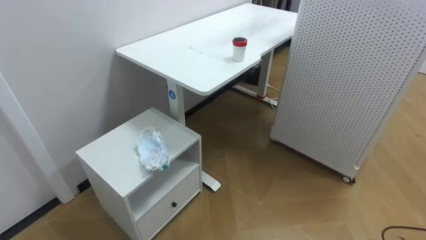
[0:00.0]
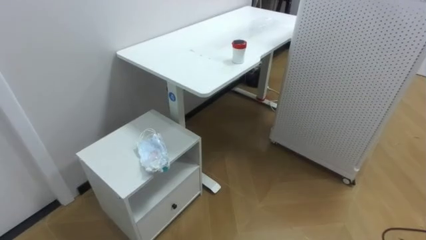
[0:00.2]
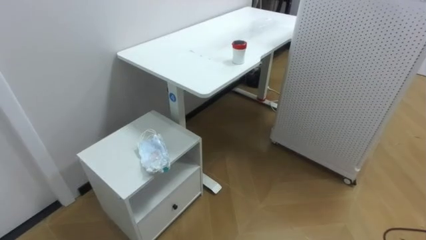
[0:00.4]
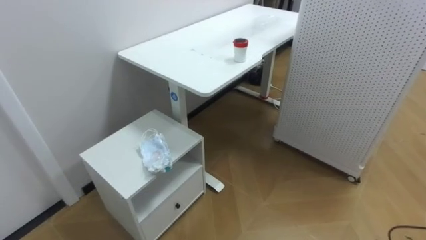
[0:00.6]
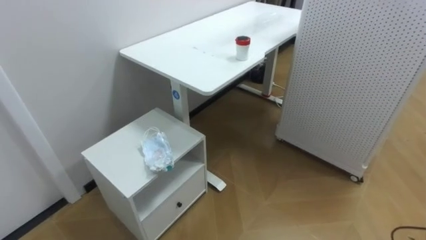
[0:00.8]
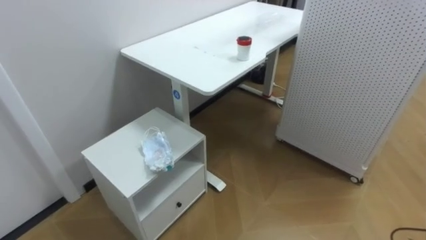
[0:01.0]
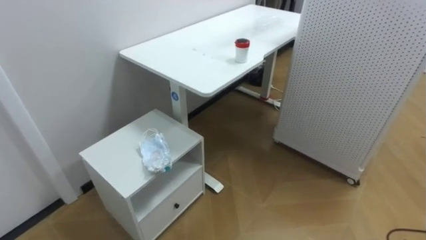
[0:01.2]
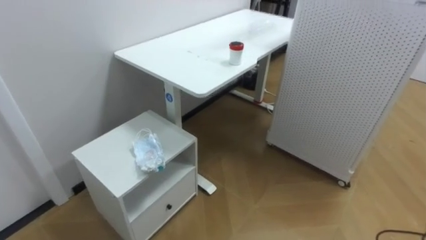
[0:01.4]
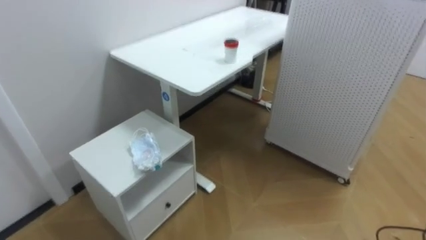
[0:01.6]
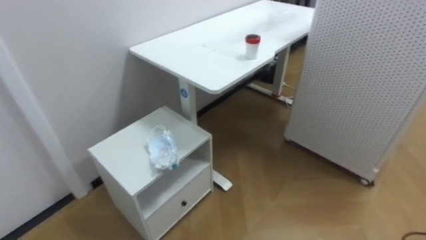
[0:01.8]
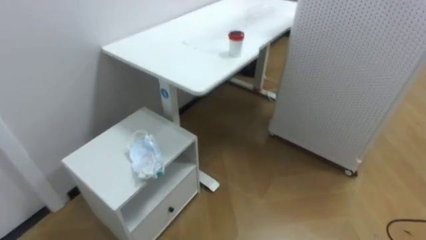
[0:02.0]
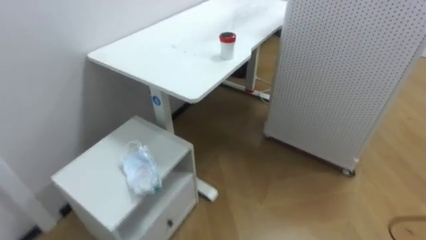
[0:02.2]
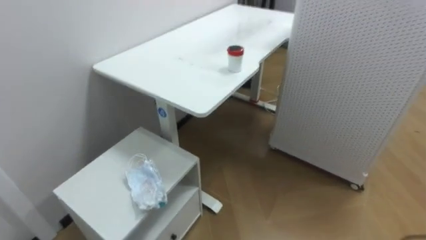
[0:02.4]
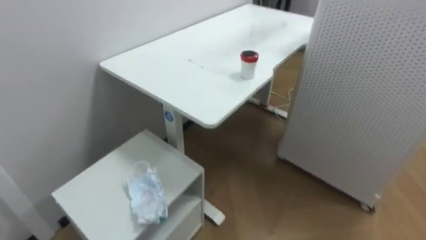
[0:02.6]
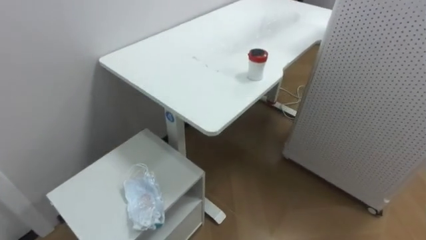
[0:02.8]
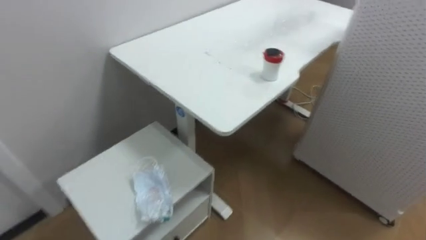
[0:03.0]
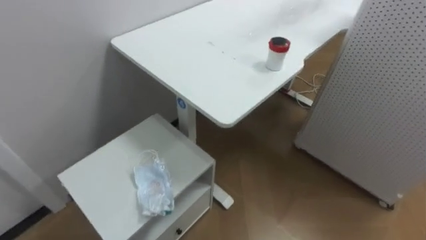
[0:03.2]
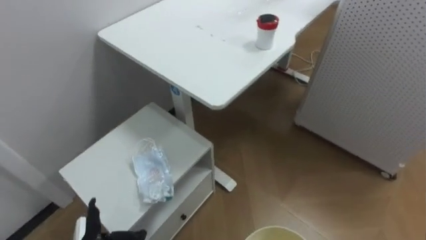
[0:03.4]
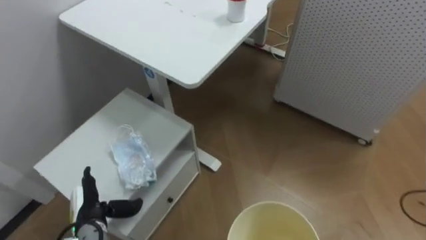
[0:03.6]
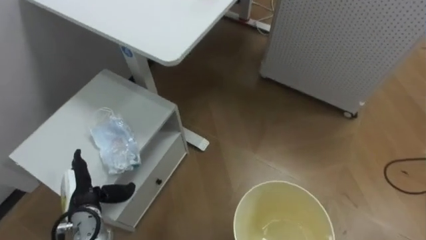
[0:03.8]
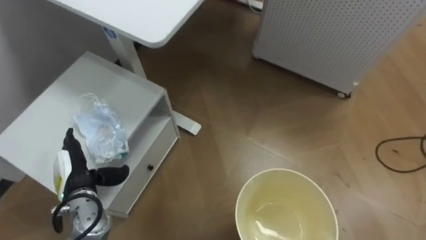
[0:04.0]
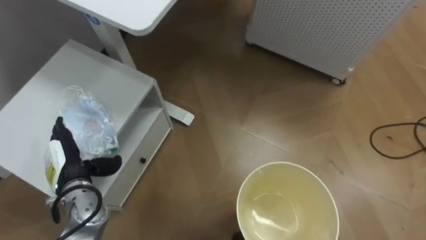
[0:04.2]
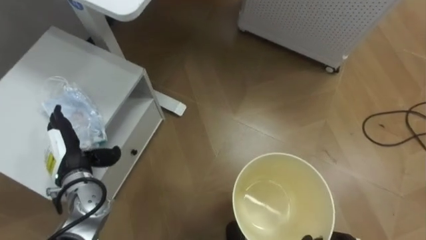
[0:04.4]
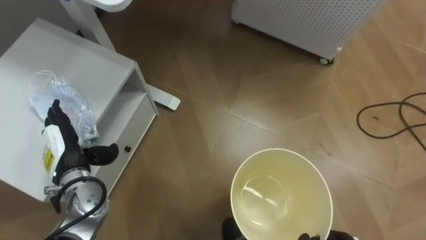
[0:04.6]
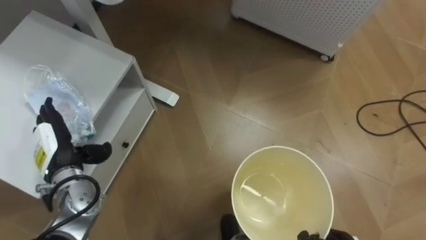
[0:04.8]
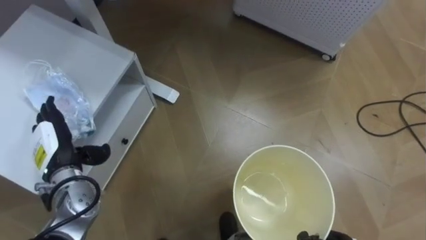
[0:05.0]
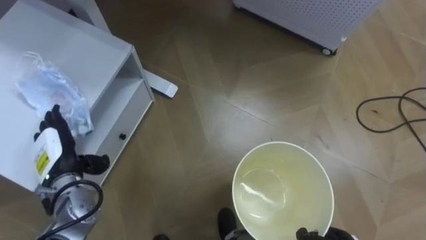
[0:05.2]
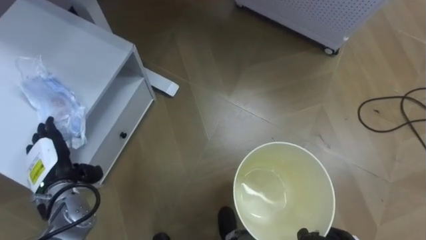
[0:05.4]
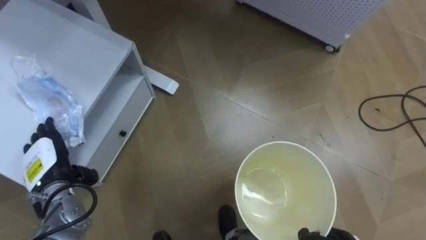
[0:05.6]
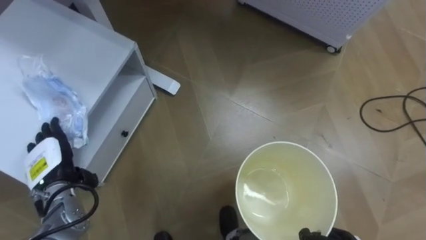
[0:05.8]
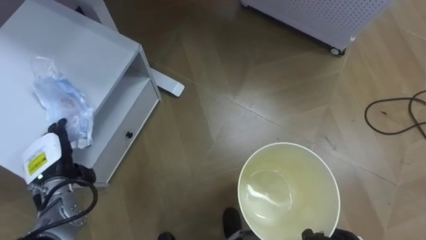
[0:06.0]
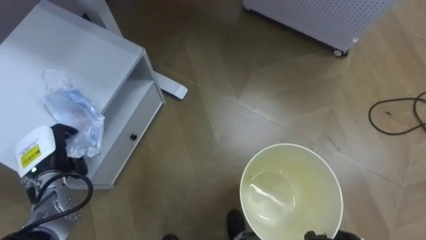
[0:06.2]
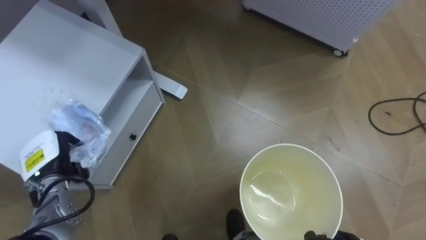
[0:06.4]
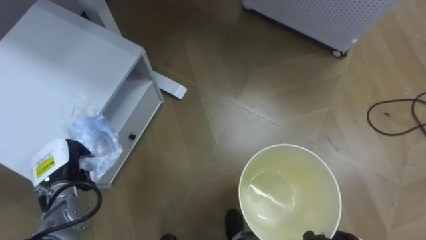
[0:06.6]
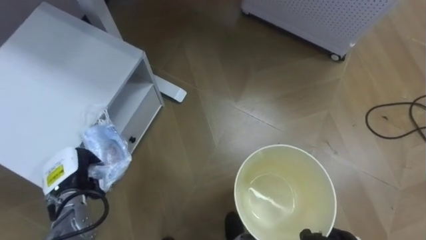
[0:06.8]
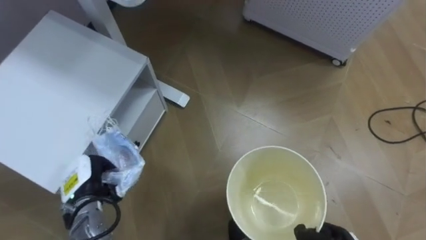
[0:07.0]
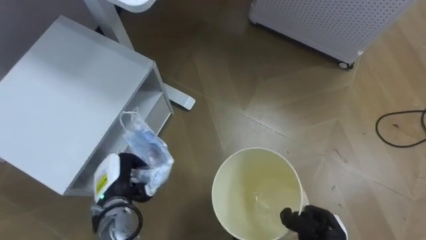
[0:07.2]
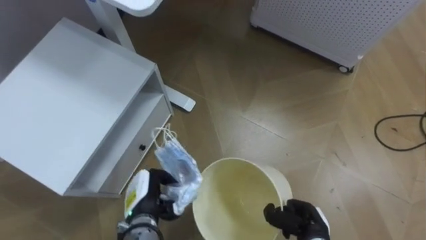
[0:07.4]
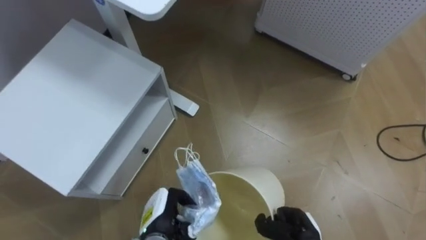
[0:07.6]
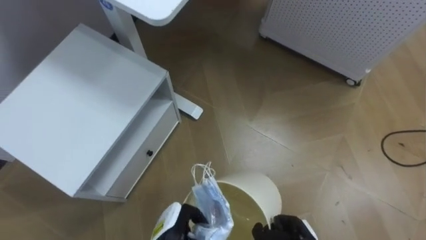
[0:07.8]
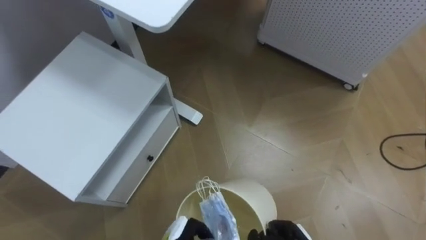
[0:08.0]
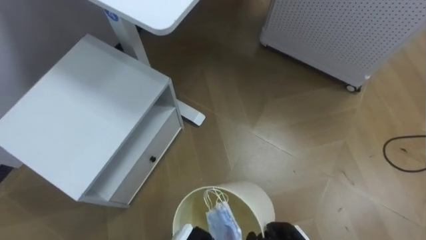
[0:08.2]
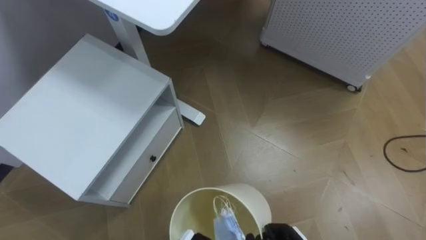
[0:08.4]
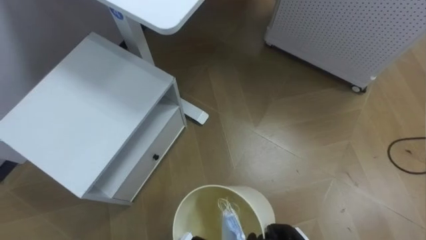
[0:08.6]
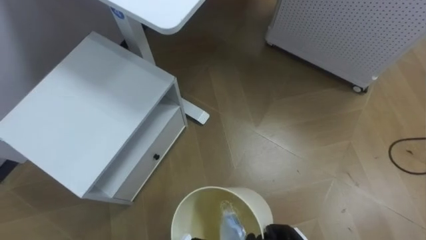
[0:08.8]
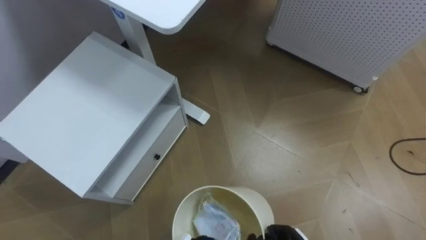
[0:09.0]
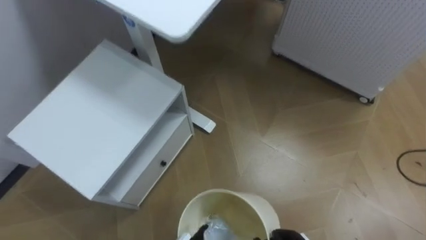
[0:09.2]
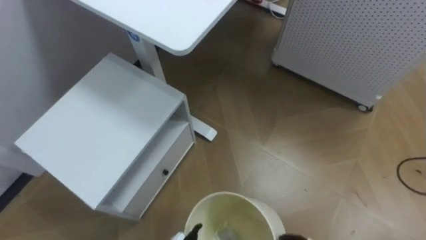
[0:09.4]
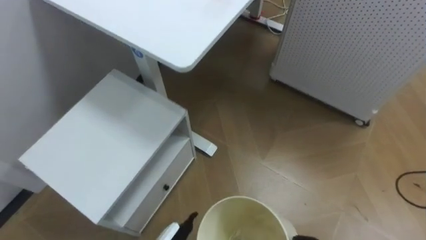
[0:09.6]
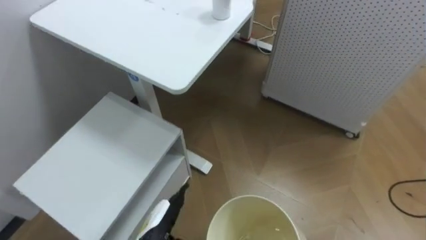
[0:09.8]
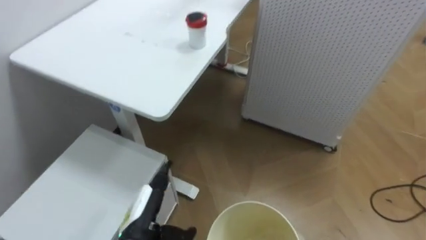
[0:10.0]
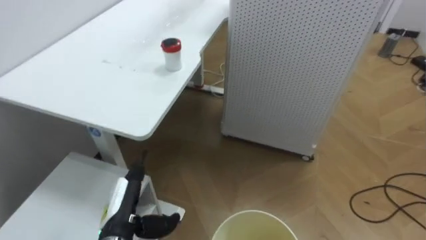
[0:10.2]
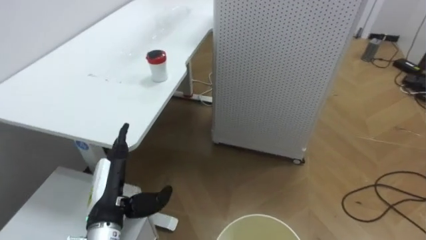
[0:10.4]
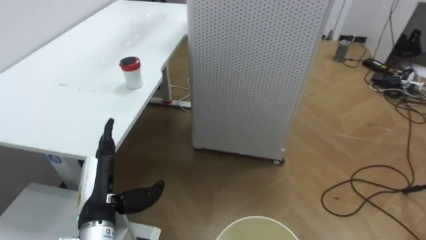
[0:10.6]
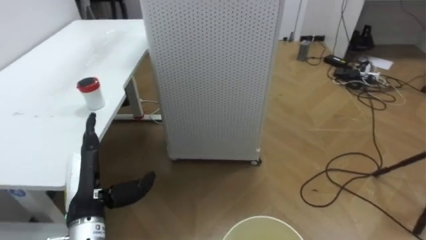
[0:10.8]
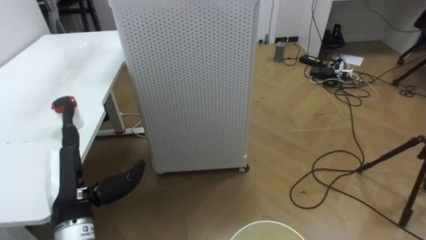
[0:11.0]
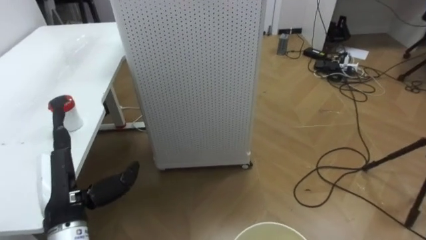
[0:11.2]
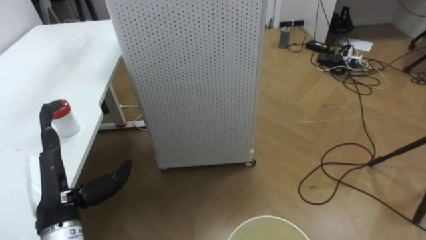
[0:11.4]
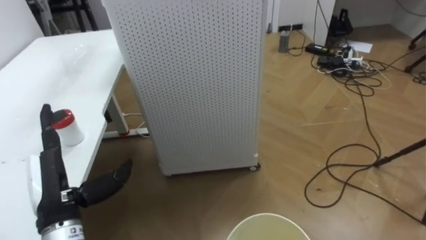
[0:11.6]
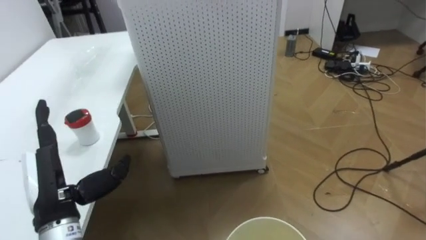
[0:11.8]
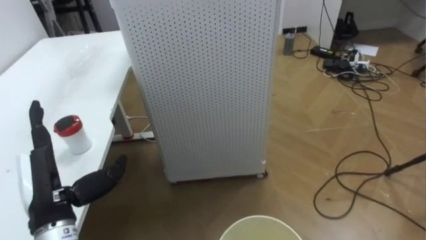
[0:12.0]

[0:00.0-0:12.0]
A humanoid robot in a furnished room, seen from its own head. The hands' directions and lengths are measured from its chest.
Task of the whole recording: Pick up the light blue package, the candy box, and the dark blue package separately, and put them into the trash can held in your right hand.
0:06.0 to 0:07.6: The left hand is displaced to the right and downward by some 20 cm, and closes.
0:09.0 to 0:10.4: The robot's body swings about 15 degrees to its right.
0:10.4 to 0:12.0: The robot faces approximately 25 degrees further to its right. The left hand shifts approximately 10 cm to the left and upward.

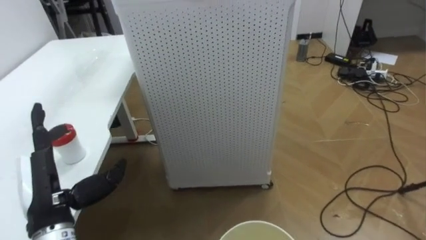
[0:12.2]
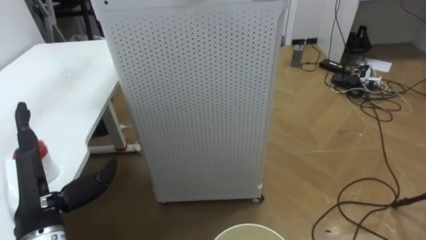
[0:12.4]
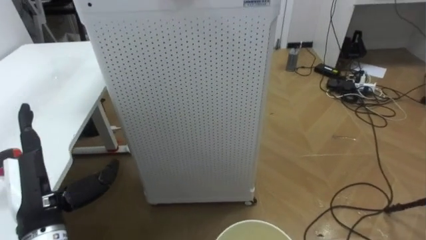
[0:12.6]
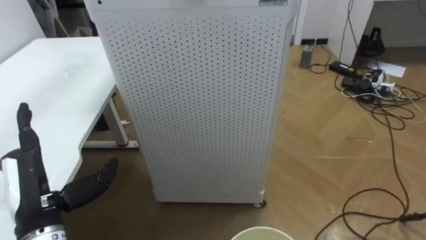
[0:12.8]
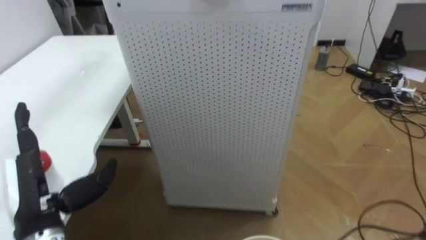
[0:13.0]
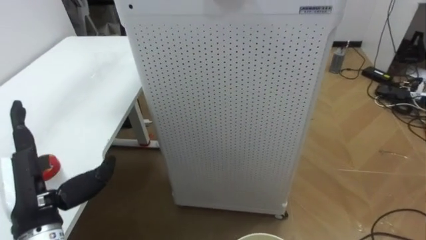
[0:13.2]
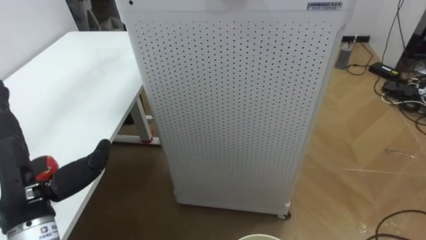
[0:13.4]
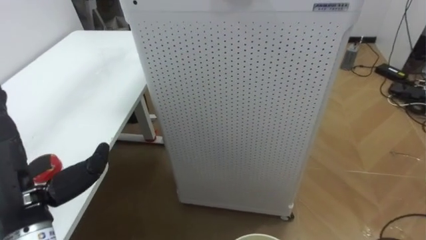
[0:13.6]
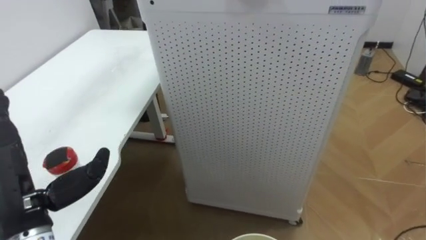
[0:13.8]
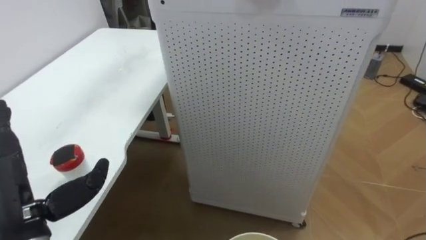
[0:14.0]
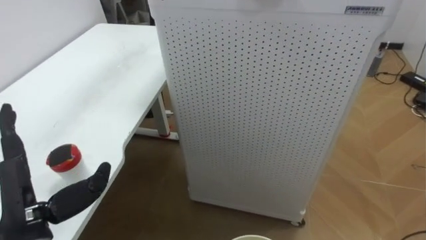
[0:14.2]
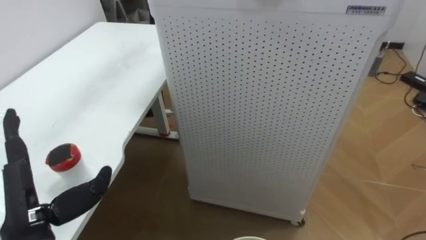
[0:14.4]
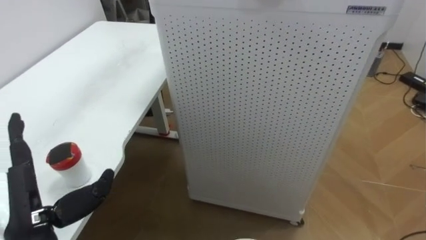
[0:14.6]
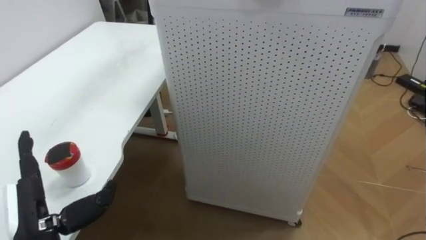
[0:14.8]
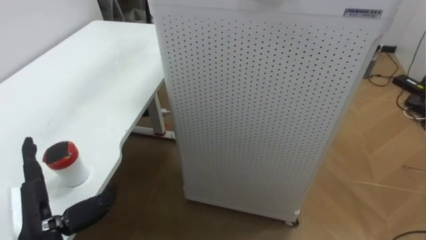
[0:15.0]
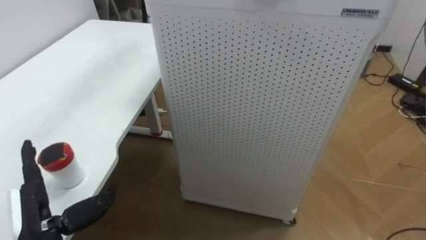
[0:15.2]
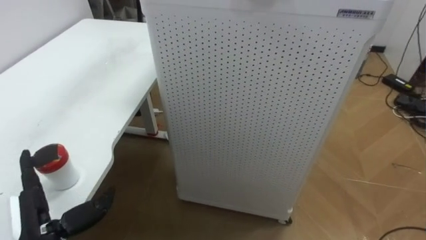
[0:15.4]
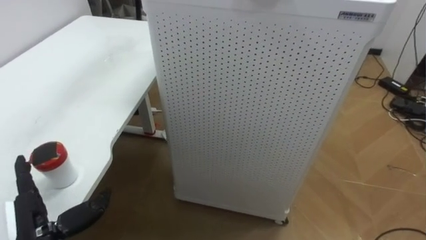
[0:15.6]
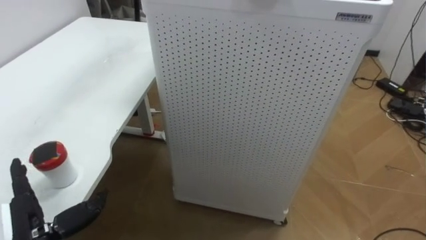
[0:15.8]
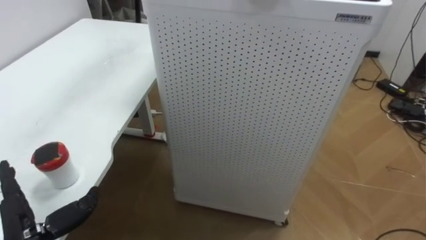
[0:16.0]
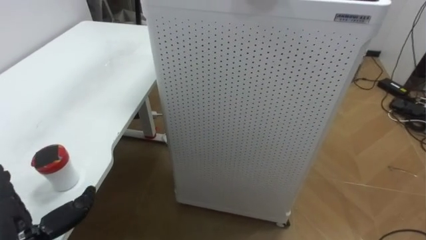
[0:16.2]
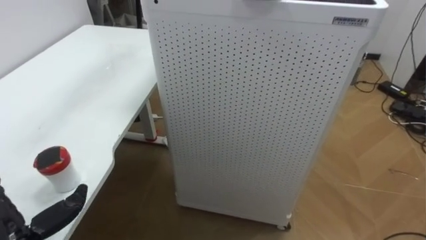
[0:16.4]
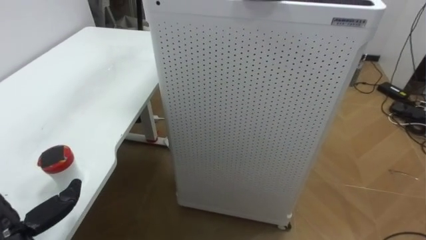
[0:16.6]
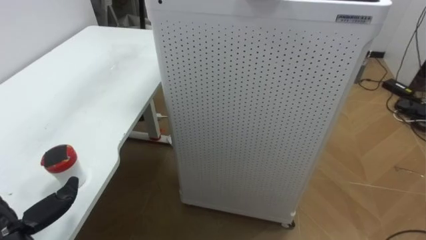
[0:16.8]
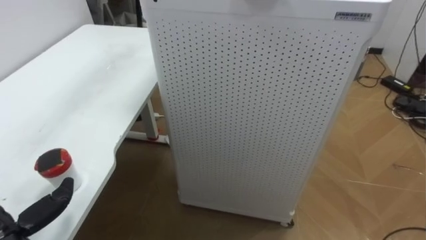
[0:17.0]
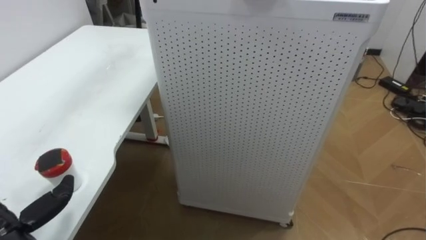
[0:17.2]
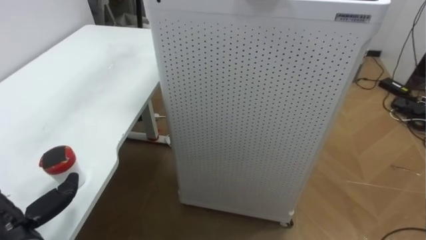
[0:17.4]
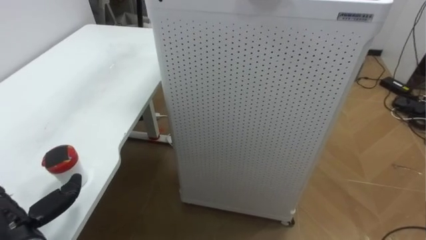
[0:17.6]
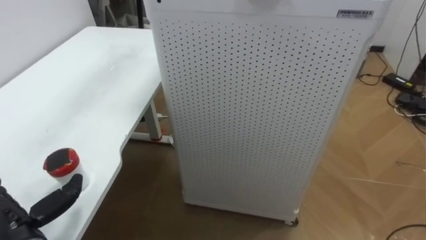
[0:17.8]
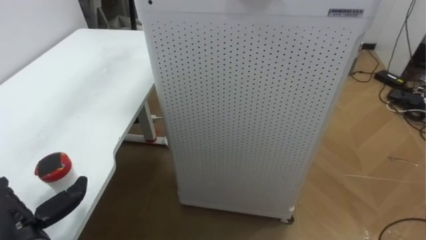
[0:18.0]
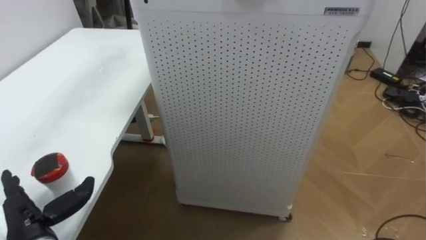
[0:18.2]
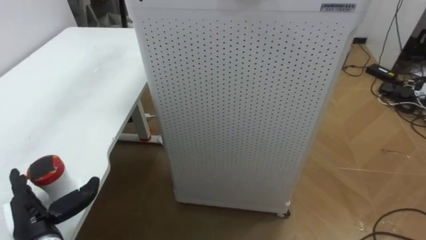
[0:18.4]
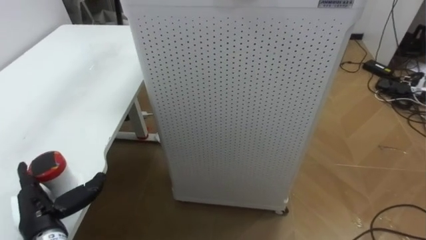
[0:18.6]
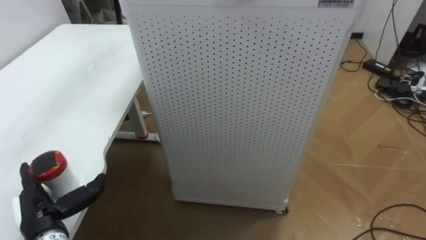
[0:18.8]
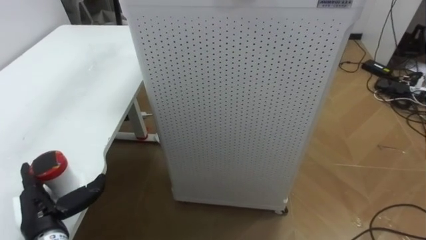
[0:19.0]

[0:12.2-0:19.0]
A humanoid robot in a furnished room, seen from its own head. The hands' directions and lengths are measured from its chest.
Task of the whole recording: Pick up the light blue package, the candy box, and the dark blue package separately, and put them into the trash can held in your right hand.
0:12.2 to 0:13.6: The left hand shifts by roughly 5 cm.
0:13.6 to 0:15.0: The left hand travels downward by approximately 10 cm.
